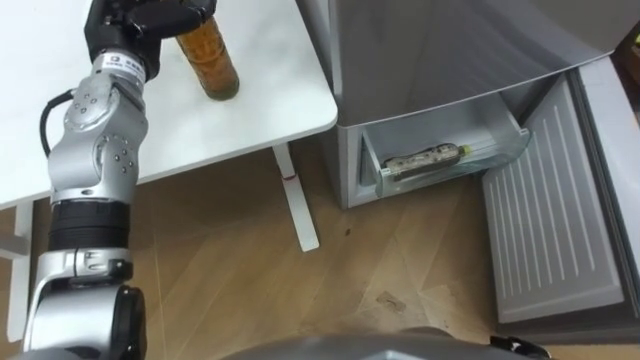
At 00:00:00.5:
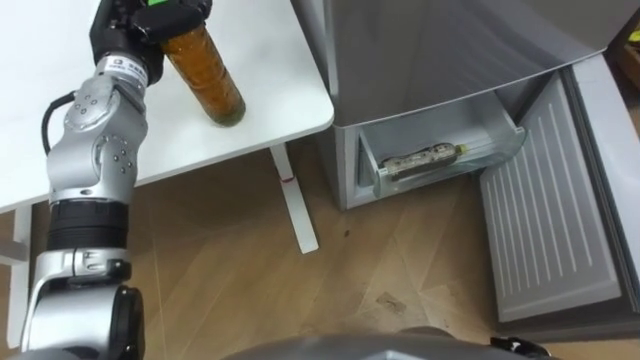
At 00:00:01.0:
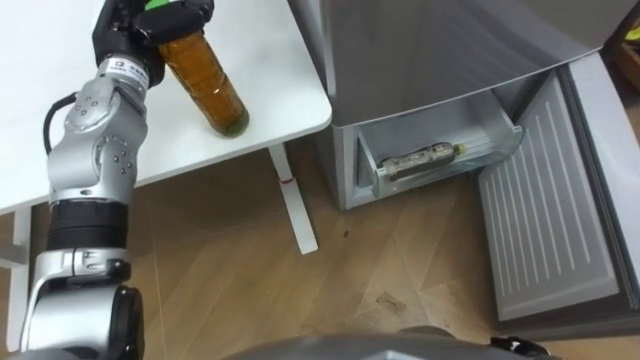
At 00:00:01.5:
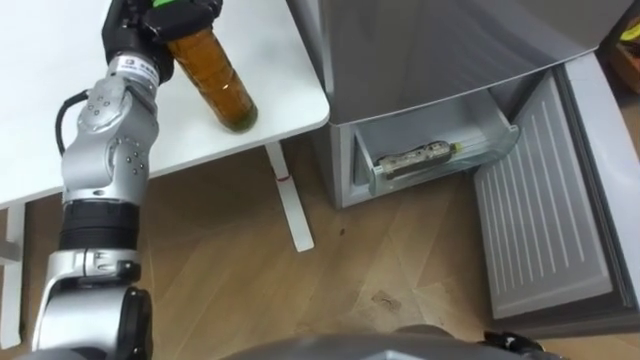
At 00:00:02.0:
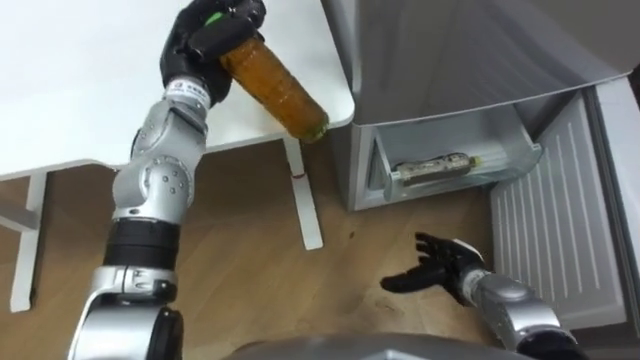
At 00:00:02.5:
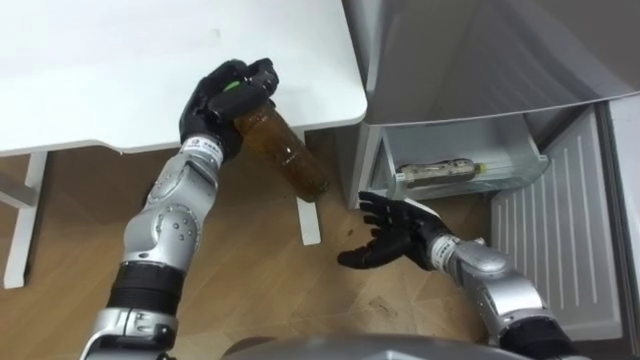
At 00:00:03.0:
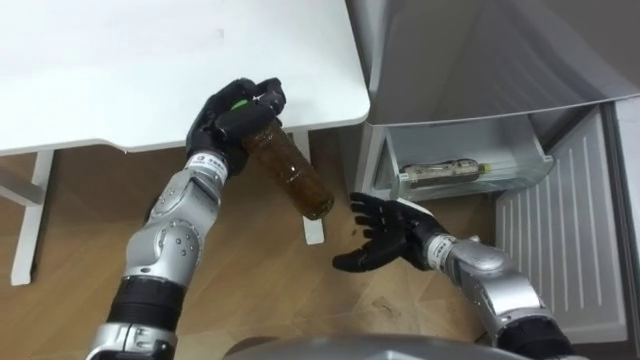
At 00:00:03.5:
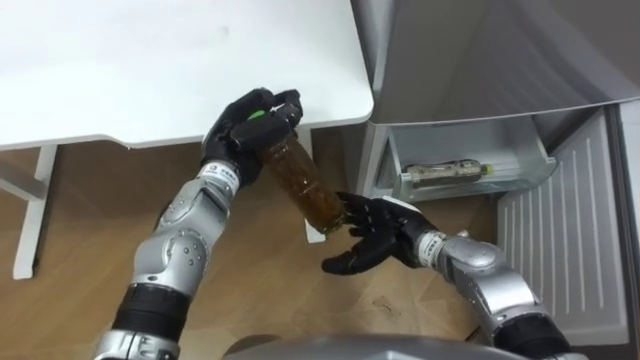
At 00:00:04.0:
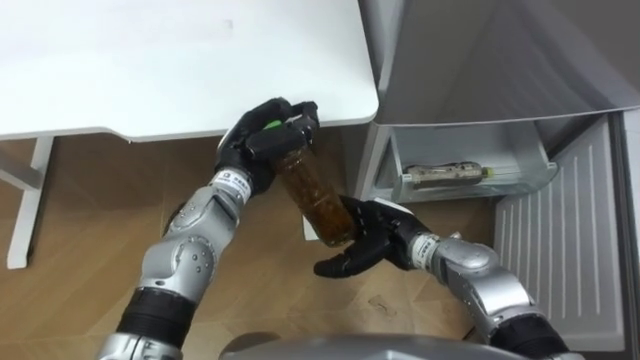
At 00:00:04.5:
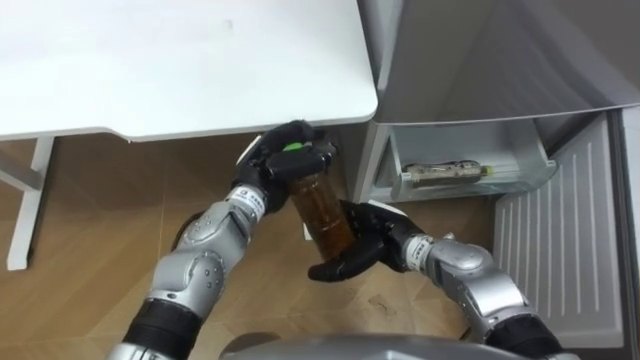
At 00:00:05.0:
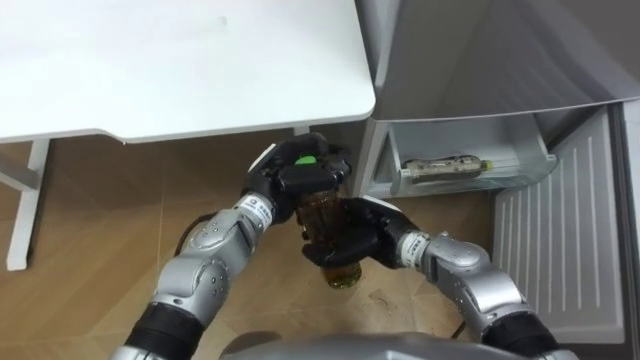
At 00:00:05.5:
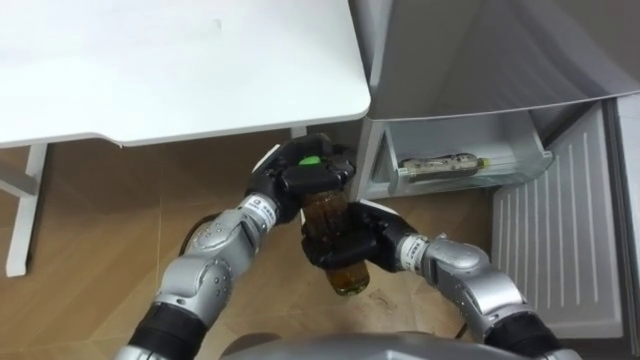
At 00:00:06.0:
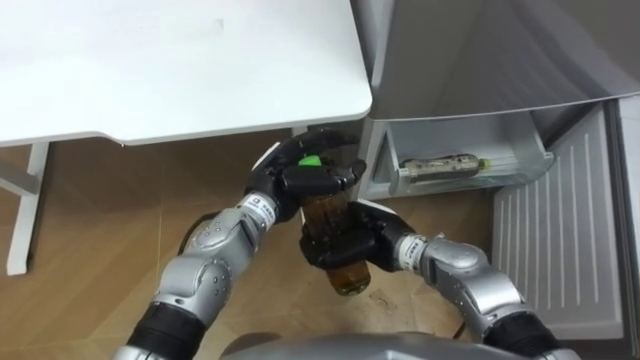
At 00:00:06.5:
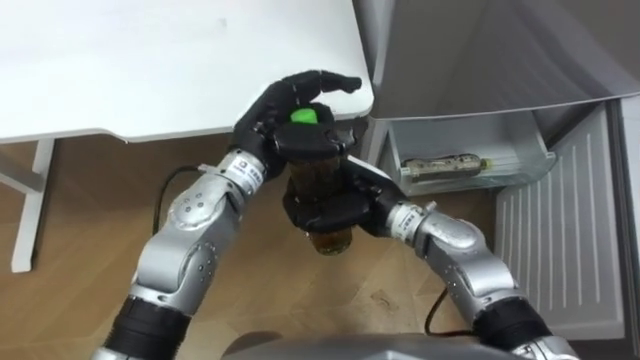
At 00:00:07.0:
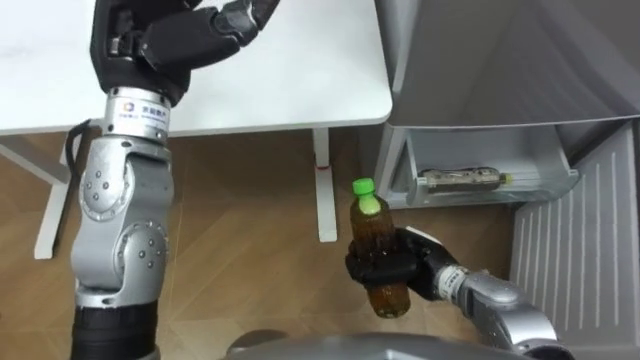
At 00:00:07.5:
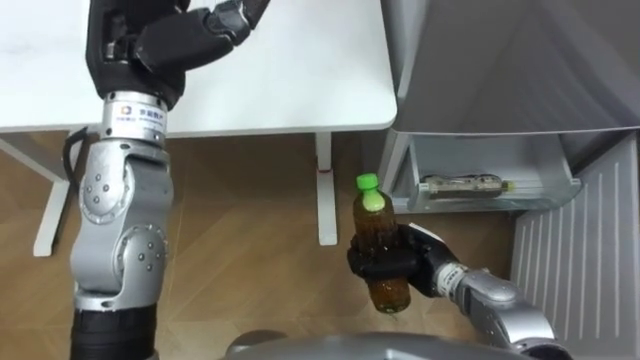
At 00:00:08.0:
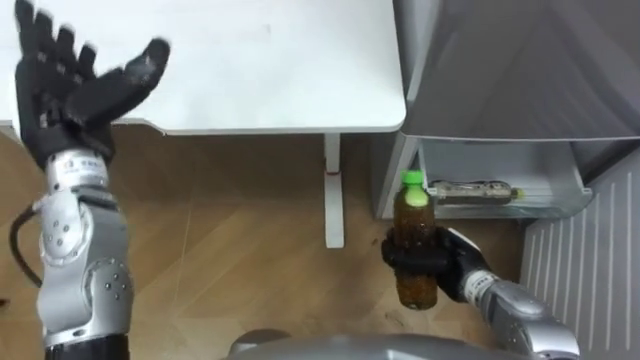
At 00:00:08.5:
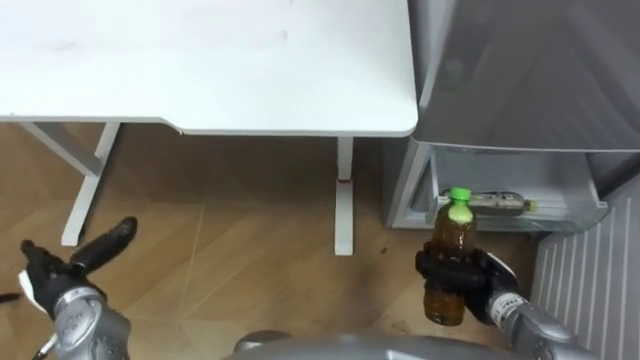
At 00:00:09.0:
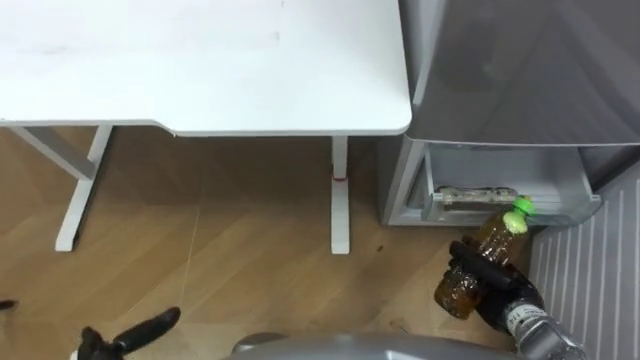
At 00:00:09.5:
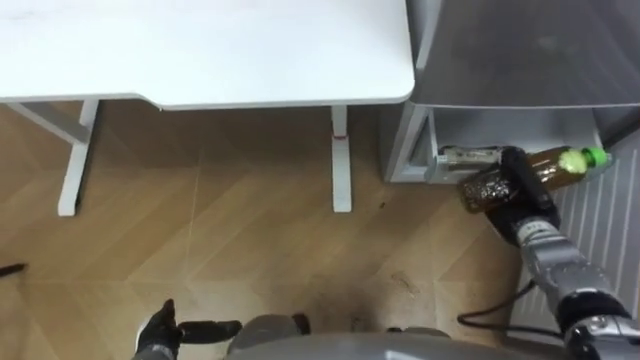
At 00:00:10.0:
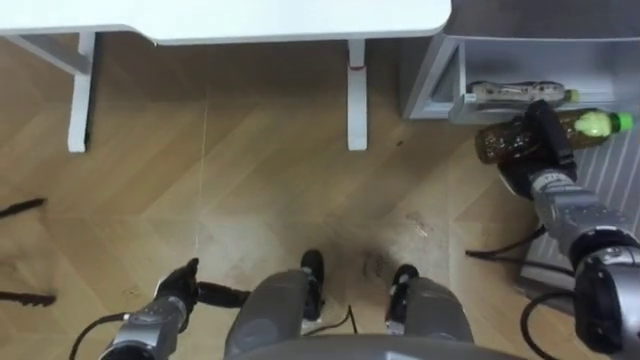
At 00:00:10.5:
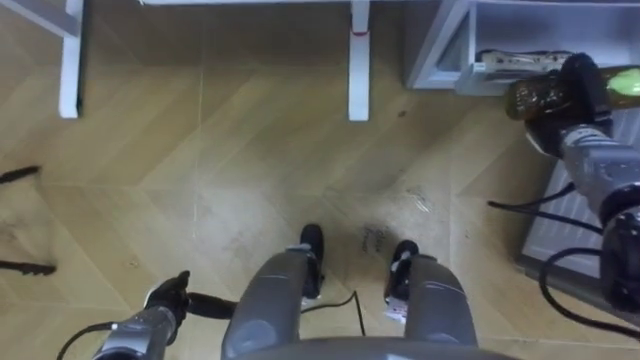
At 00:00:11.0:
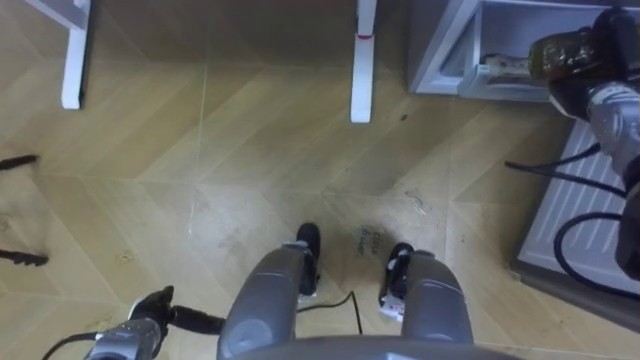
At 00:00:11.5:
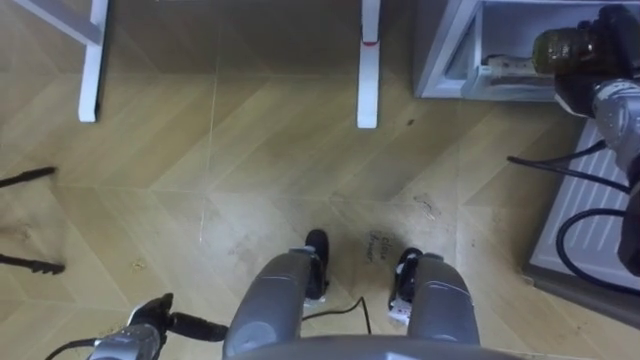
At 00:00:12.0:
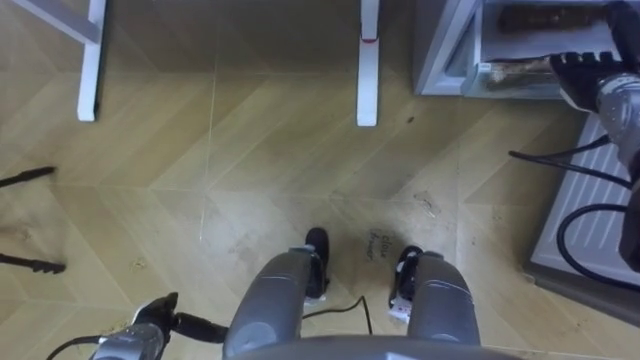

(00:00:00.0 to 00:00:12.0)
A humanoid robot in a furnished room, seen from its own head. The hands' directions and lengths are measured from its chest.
Task of the whole recording: Place the drink on the table on the bottom shelf of the refrigerator, then close the drawer and the refrigerator door.
00:00:00.0 - 00:00:02.0: The left hand is displaced to the right by approximately 5 cm, and closes.
00:00:02.0 - 00:00:04.0: The left hand is displaced downward, backward and to the right by roughly 15 cm; the right hand moves to the left and upward, approximately 15 cm.
00:00:04.0 - 00:00:06.0: The left hand ends up about 5 cm from where it was. The right hand closes up.
00:00:06.0 - 00:00:08.0: The right hand moves to the right, about 10 cm. The left hand moves to the left and upward, approximately 25 cm, and opens its fingers.
00:00:08.0 - 00:00:10.0: The right hand travels forward and to the right by roughly 20 cm.
00:00:10.0 - 00:00:12.0: The left hand ends up about 5 cm from where it was; the right hand goes some 15 cm upward, forward and to the right, and opens.

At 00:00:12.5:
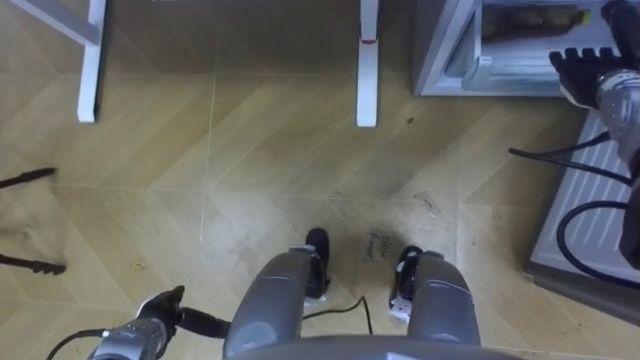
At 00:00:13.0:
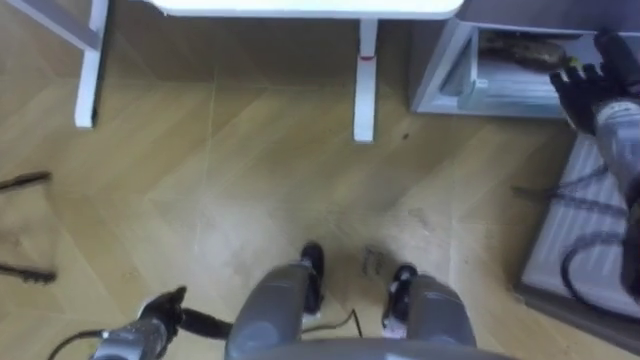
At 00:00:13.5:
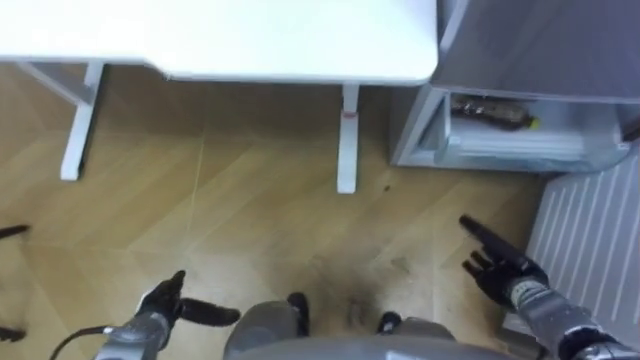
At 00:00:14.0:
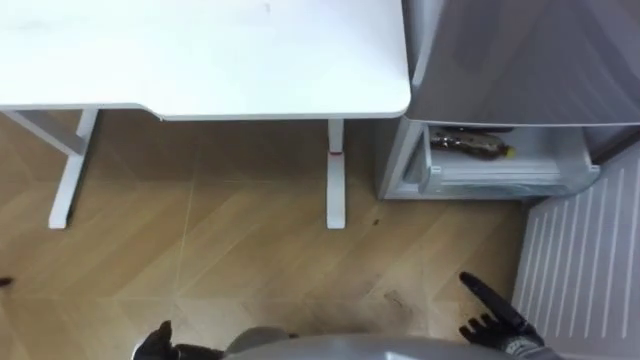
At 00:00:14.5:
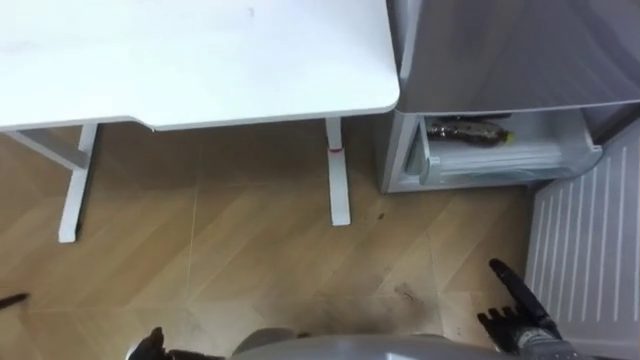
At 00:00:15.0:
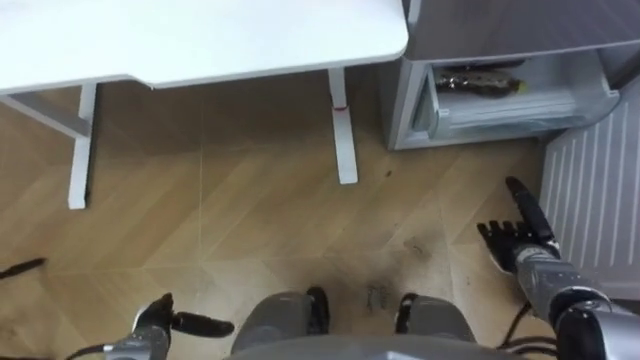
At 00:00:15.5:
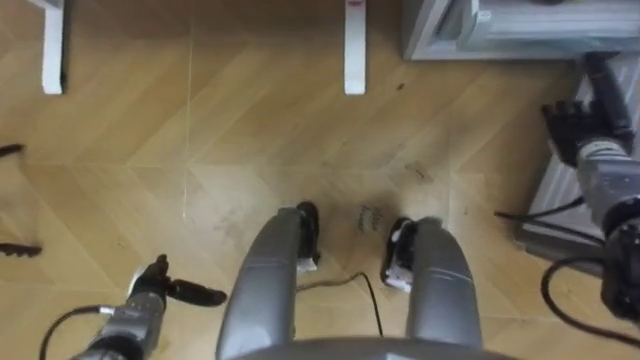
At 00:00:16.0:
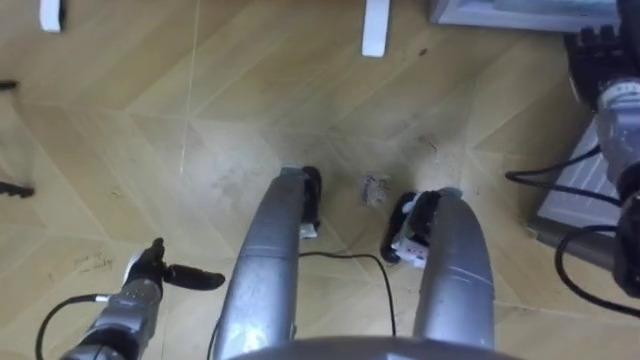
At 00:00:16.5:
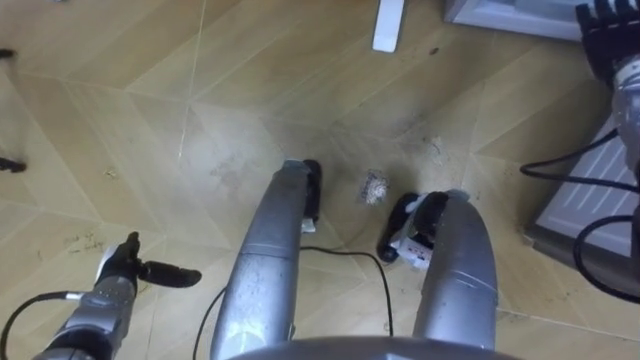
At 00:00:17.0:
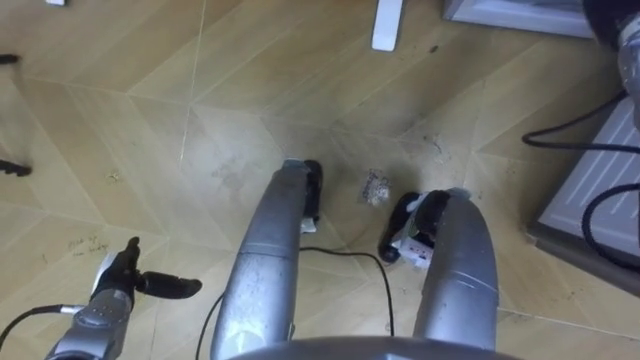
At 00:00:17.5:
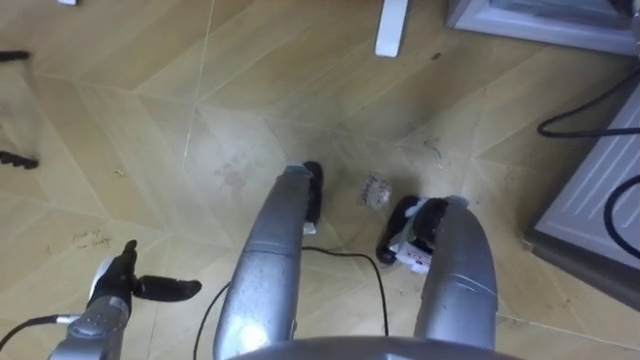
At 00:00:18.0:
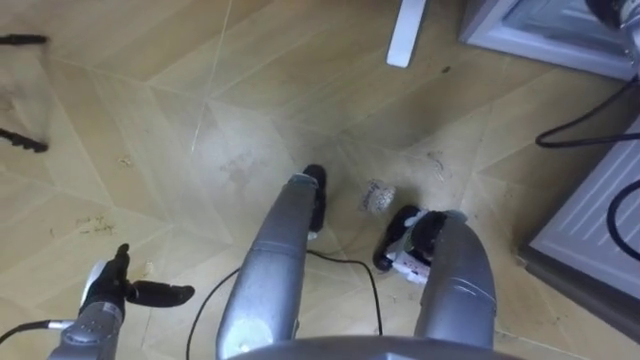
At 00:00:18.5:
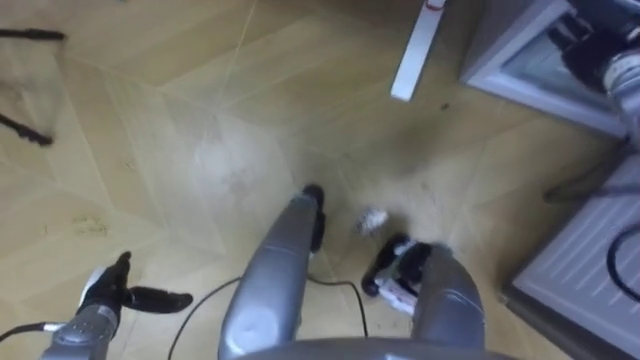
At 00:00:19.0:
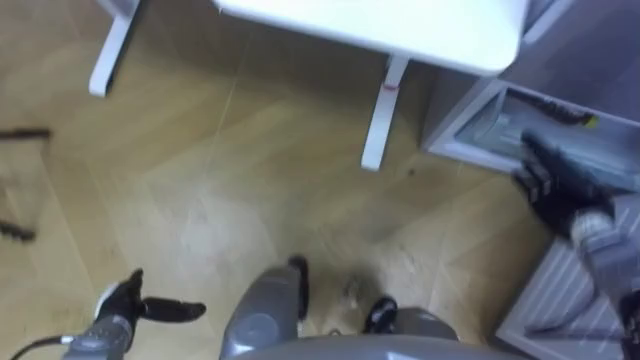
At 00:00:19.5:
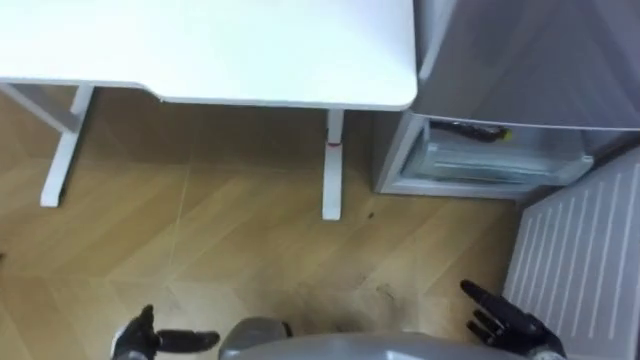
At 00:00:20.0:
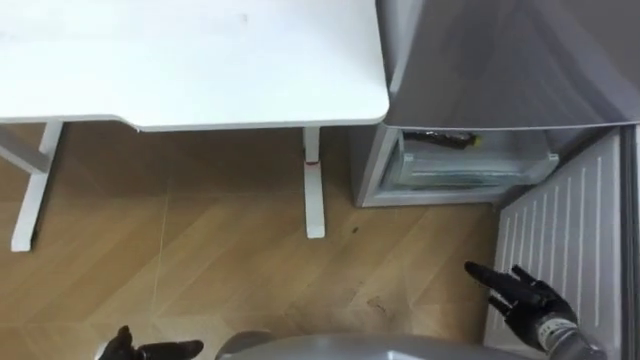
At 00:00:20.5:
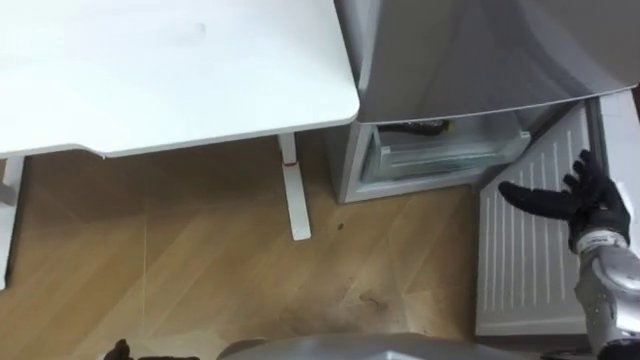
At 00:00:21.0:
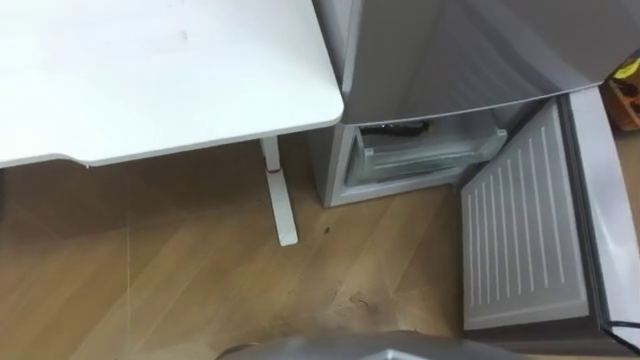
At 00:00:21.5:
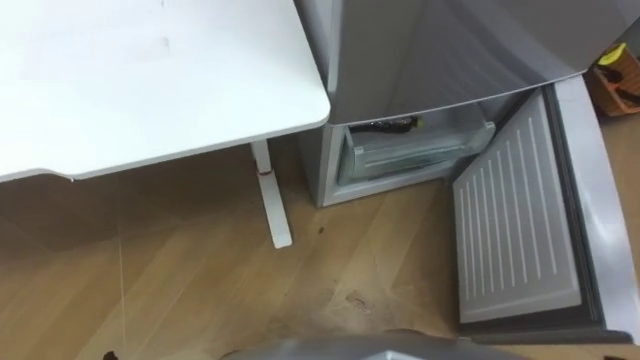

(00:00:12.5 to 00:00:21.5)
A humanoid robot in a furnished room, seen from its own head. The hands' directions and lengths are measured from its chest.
Task of the whole recording: Place the drink on the table on the bottom shelf of the refrigerator, then close the drawer and the refrigerator door.
00:00:12.5 - 00:00:14.5: The right hand goes approximately 40 cm backward and downward.
00:00:17.0 - 00:00:19.5: The left hand heads backward, covering about 10 cm.
